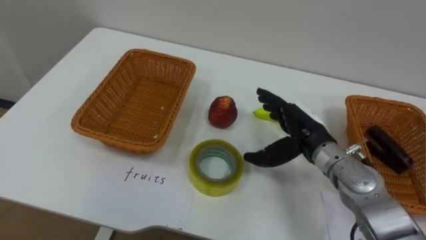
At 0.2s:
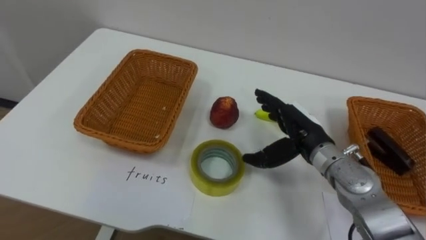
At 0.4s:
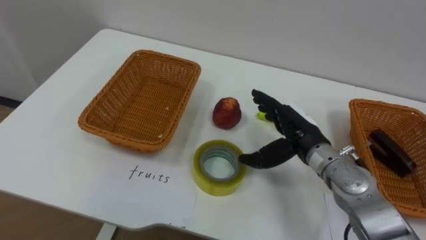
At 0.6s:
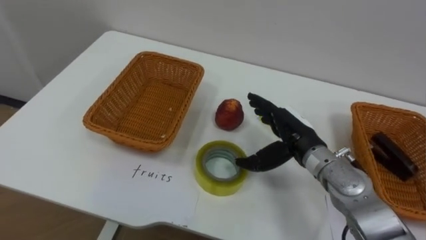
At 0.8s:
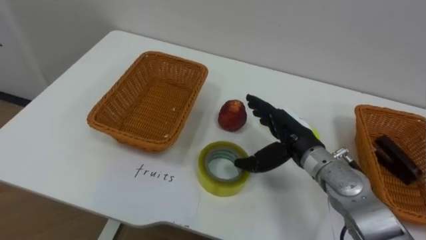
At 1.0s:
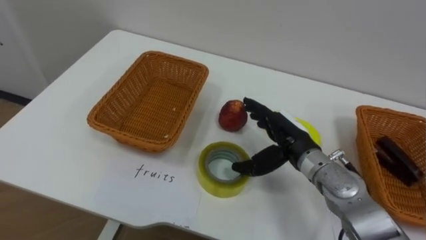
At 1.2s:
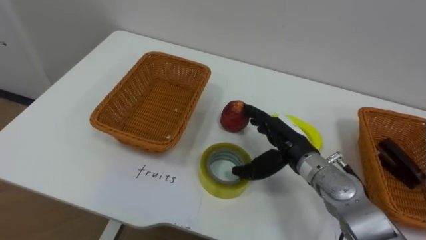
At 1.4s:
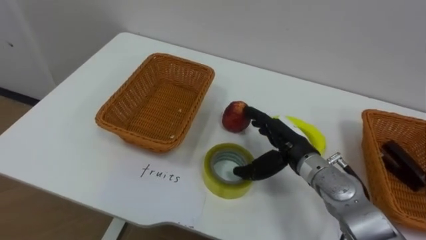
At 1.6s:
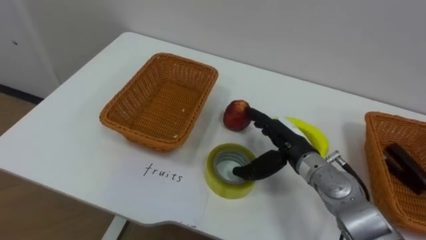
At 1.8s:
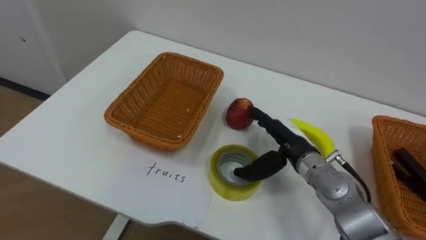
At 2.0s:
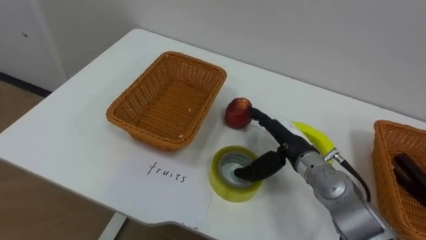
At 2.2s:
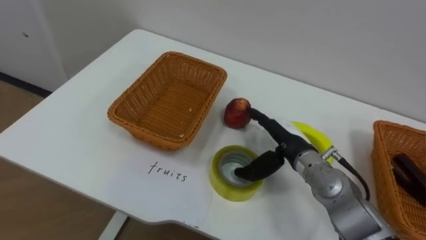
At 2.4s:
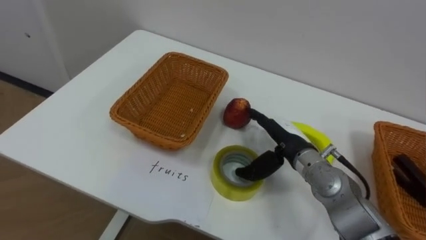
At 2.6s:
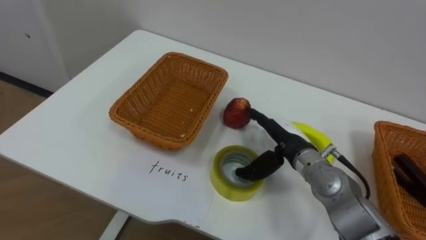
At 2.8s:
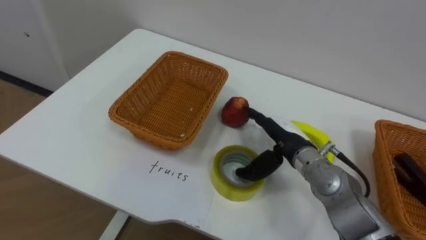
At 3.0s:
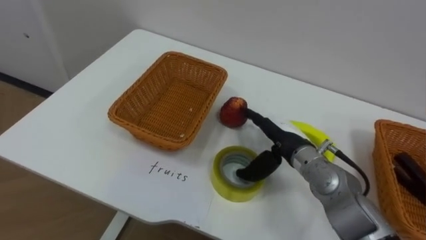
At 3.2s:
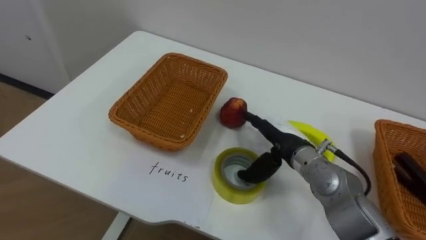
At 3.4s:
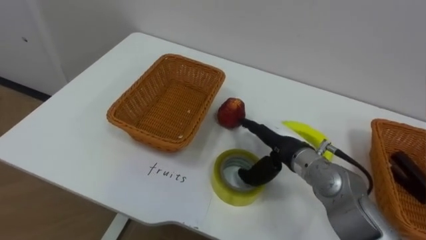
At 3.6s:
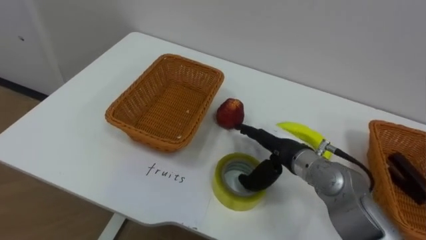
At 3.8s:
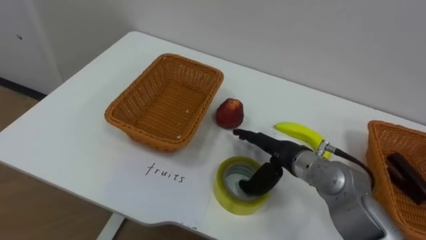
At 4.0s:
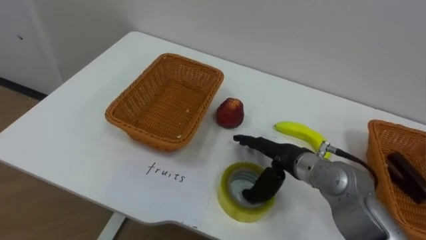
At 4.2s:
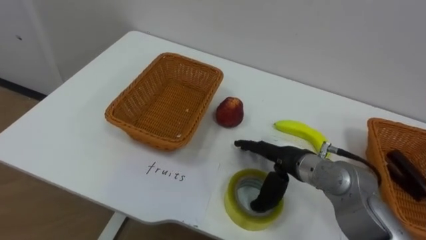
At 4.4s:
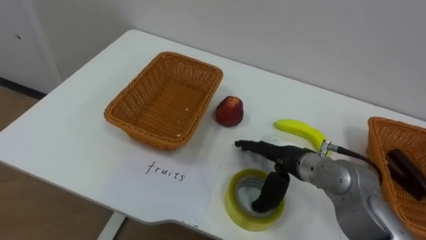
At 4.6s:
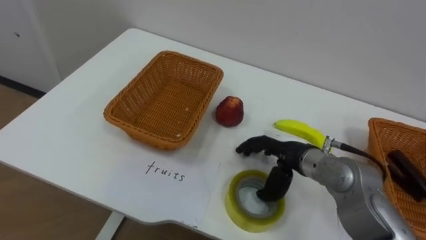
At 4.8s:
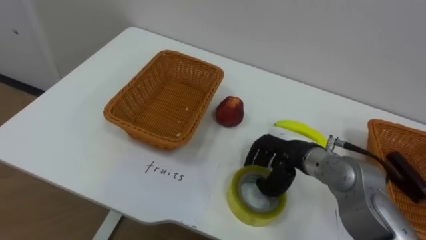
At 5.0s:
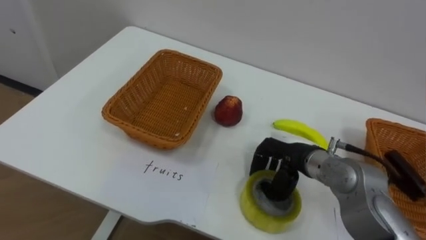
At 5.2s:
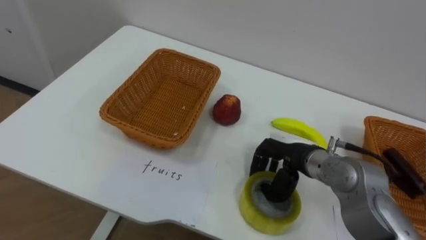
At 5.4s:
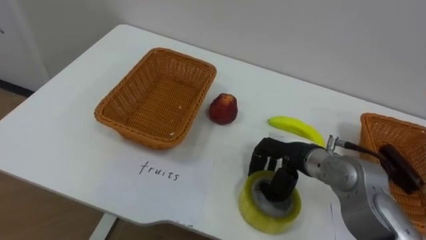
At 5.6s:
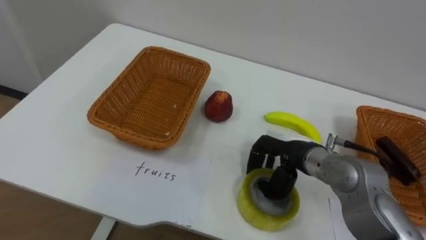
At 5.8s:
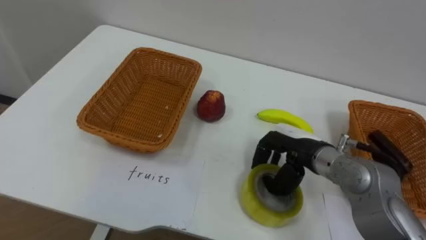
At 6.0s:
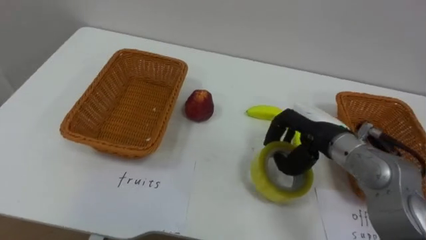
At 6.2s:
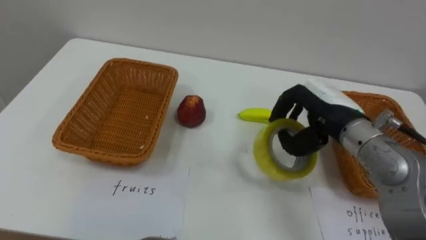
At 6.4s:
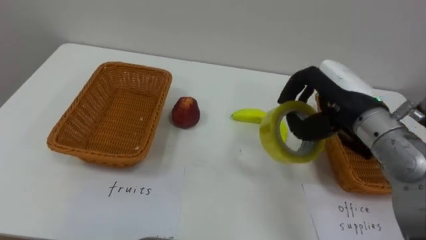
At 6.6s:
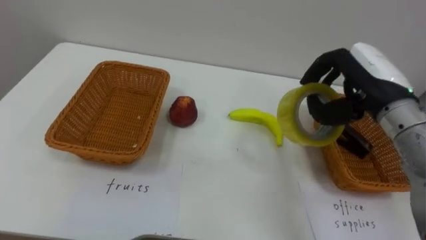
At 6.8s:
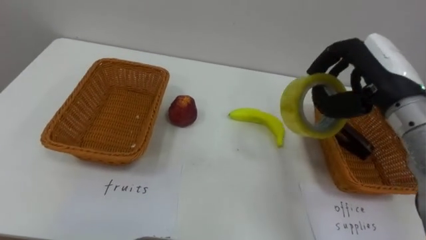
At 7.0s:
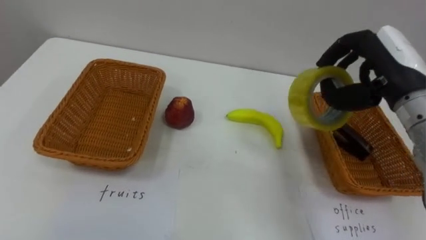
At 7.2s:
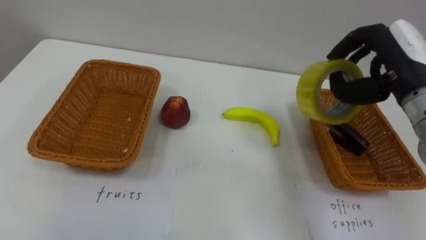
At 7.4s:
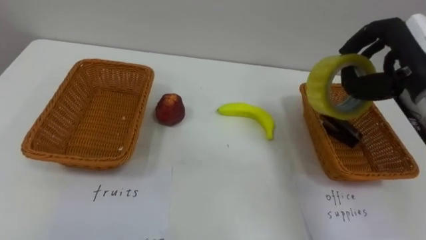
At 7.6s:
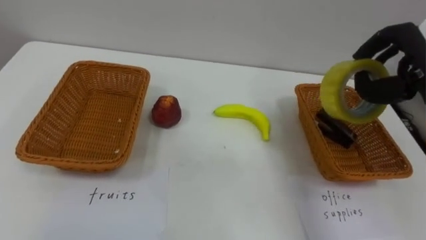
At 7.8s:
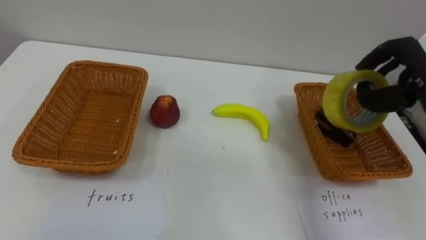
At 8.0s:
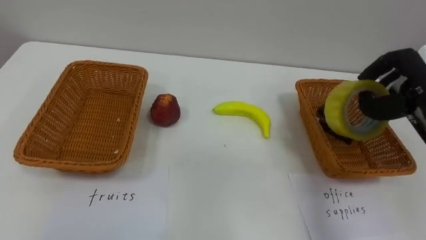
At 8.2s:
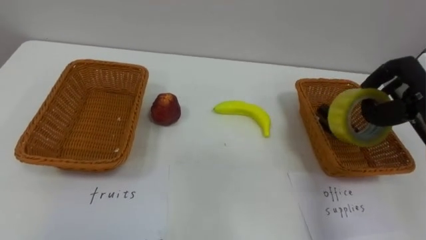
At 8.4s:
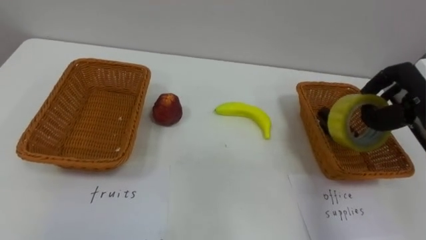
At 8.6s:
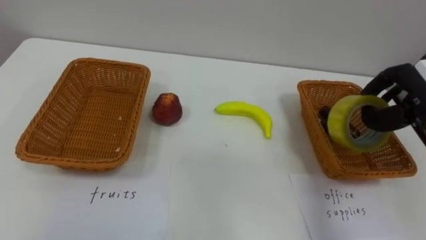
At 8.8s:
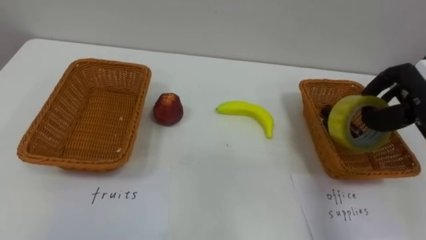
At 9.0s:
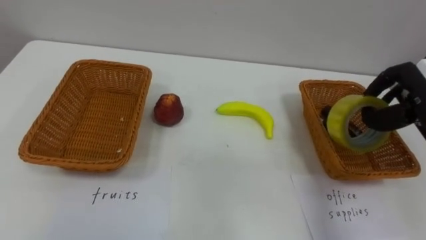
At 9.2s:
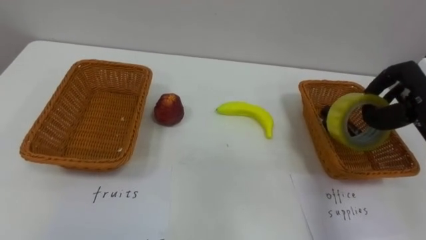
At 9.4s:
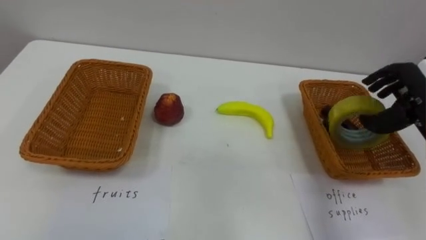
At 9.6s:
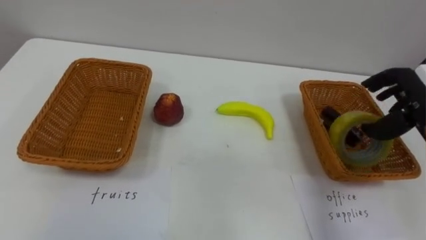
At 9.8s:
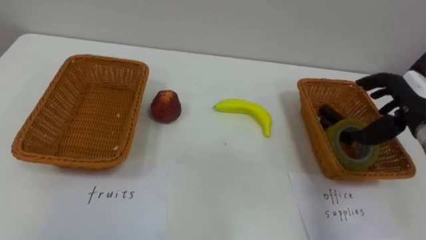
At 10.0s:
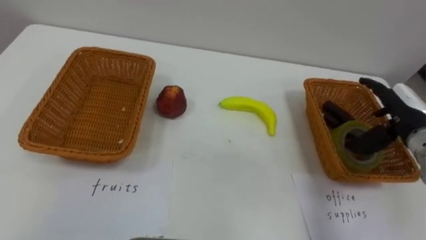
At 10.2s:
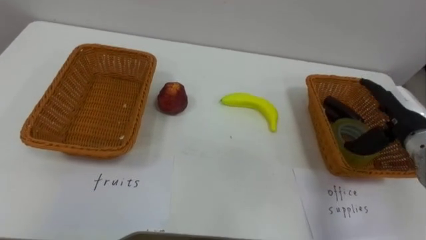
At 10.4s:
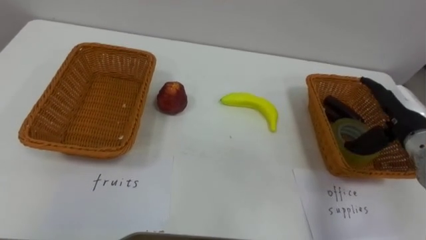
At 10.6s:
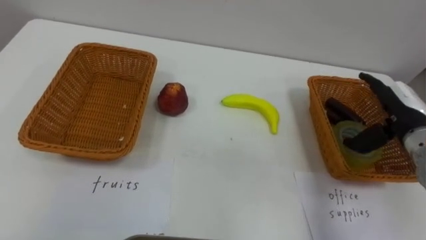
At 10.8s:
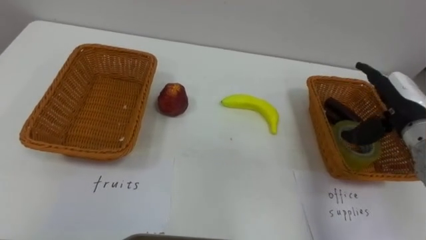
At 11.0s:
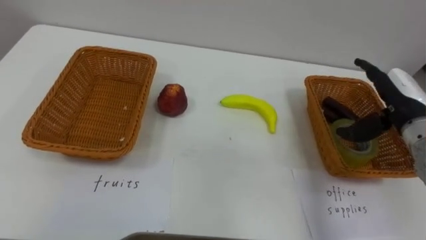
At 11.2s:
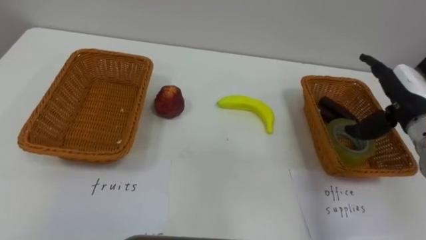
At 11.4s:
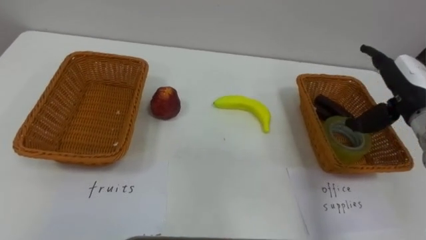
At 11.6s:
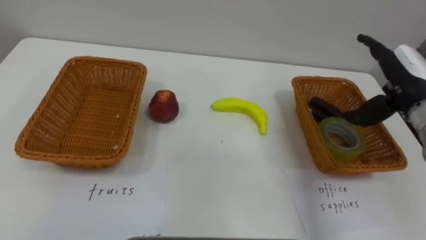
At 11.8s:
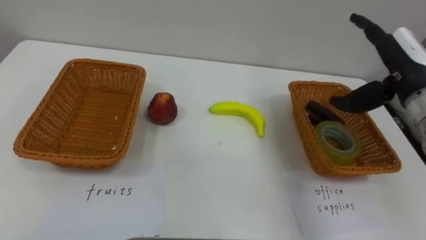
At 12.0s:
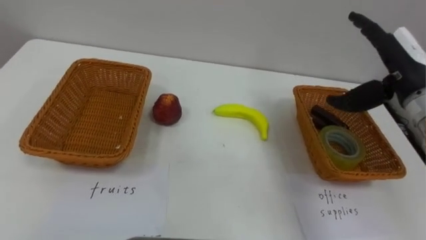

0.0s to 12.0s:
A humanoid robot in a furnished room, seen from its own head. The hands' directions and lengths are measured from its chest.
Task of the whole recording: Separate the items on the table and place them into the two baskets.
4.4s to 6.0s: The right hand ends up approximately 5 cm from where it was, and closes.
6.0s to 7.6s: The right hand heads to the right and upward, covering roughly 20 cm.
7.6s to 9.0s: The right hand moves downward, some 5 cm.
10.4s to 12.0s: The right hand shifts roughly 10 cm upward.

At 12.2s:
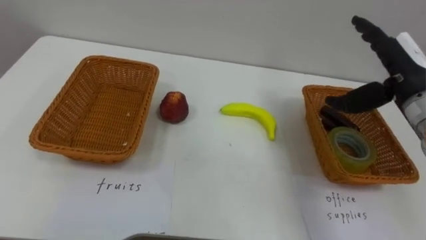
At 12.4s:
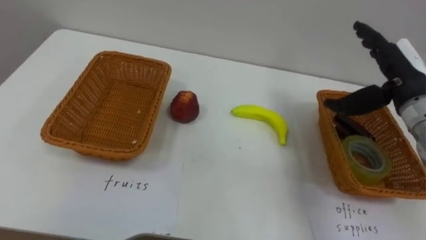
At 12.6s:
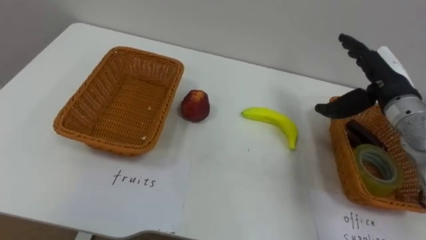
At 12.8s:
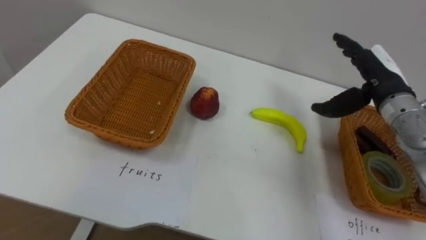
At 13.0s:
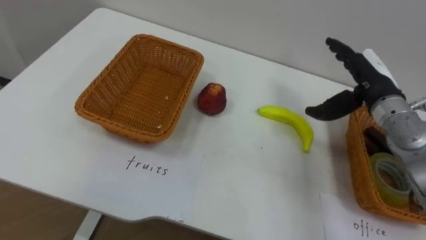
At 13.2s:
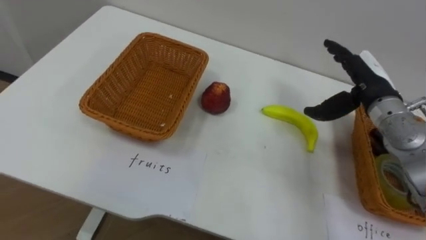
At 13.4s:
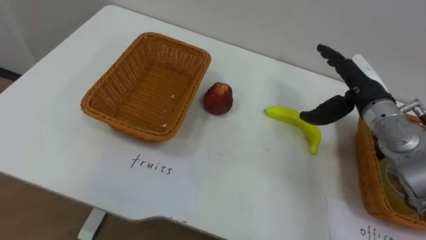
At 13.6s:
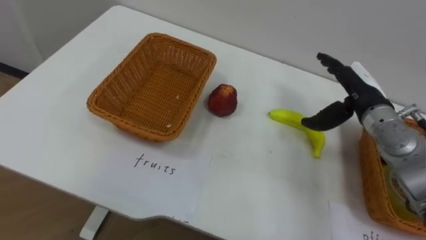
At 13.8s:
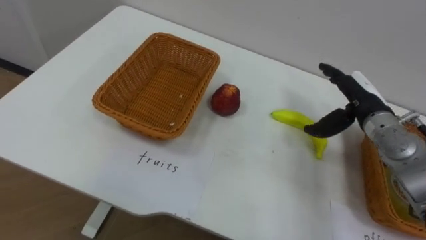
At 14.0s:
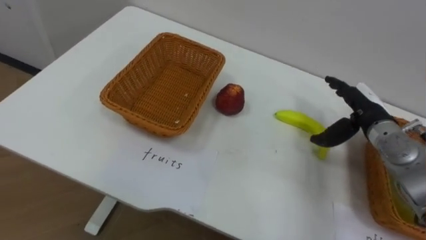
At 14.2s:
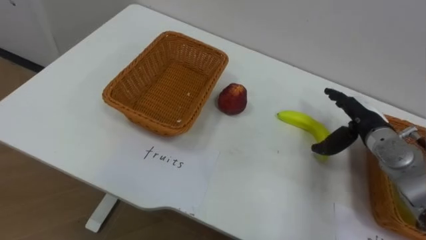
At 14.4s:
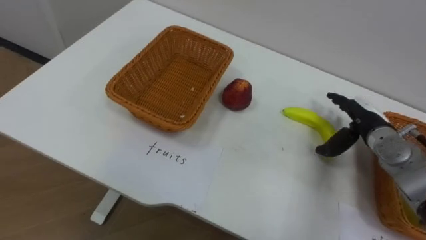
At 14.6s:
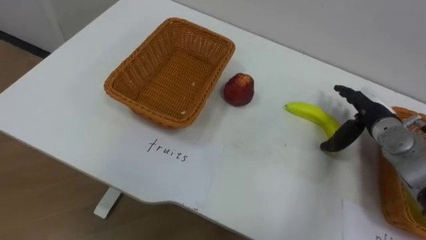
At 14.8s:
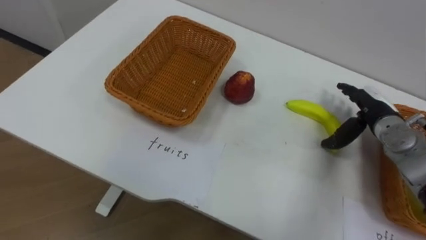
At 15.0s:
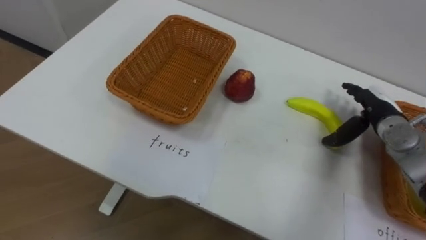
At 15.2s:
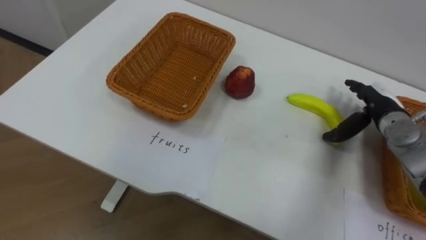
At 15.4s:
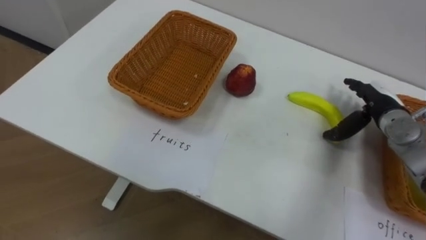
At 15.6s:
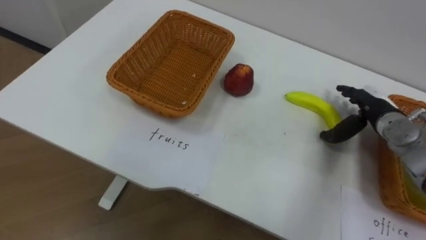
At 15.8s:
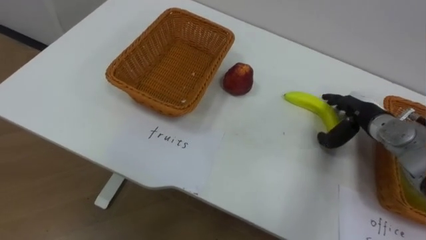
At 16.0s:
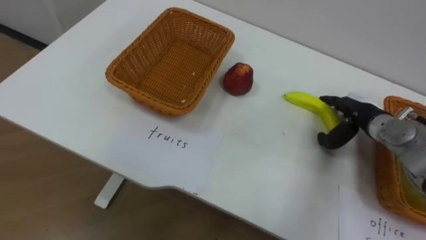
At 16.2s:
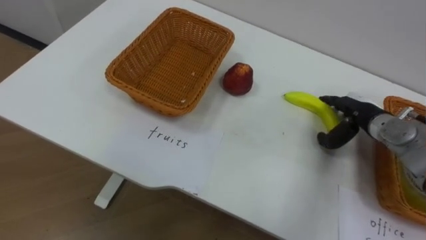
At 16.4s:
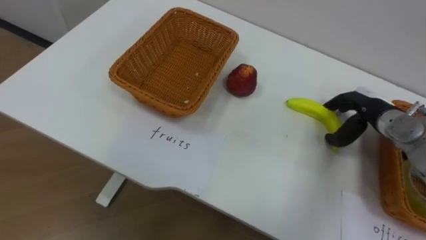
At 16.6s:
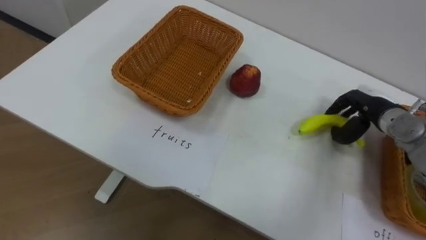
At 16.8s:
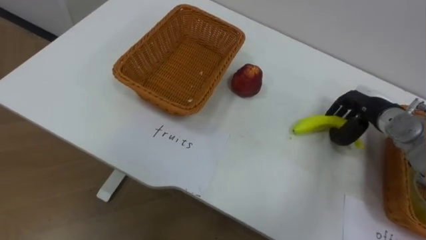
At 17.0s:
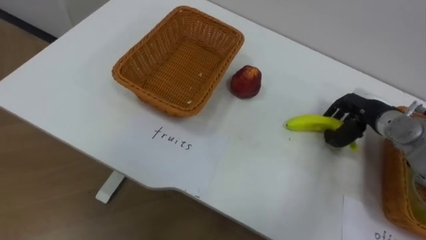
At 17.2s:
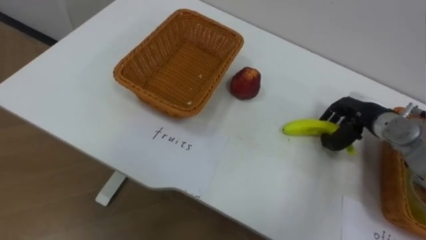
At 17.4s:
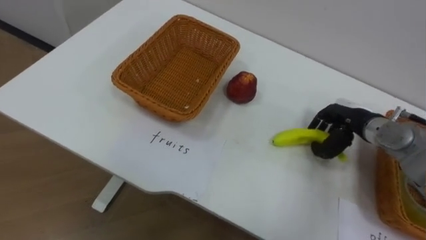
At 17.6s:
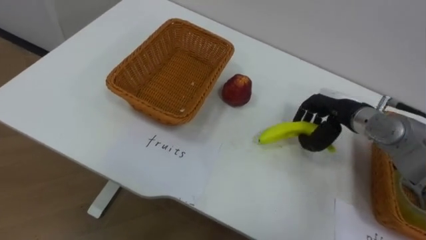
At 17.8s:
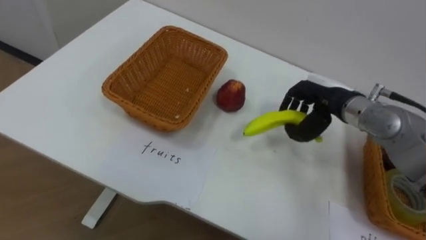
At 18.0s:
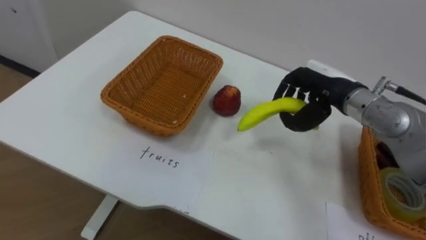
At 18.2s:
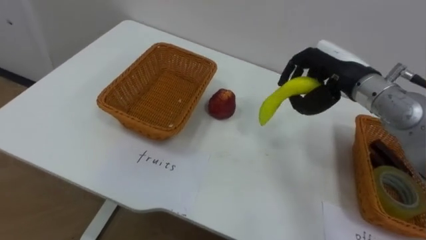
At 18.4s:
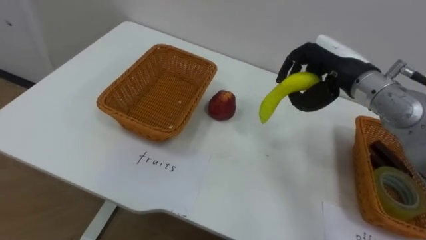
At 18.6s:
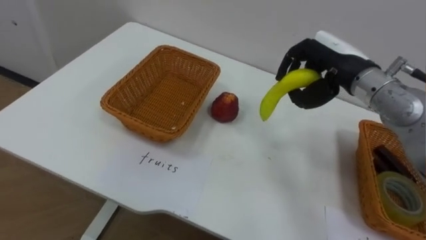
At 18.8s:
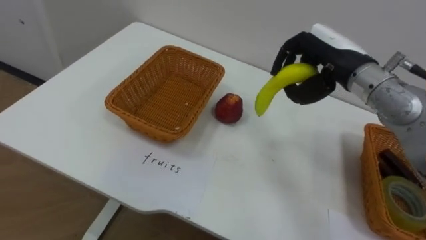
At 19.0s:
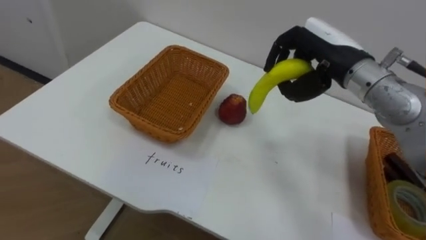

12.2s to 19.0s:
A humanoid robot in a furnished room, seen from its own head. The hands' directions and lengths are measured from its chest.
Task of the whole recording: Separate the items on the table and place them into the two baskets.
12.2s to 13.6s: The right hand travels downward by about 5 cm.
13.6s to 15.0s: The right hand travels downward and to the right by about 10 cm.
16.2s to 17.6s: The right hand moves about 5 cm, and closes its fingers.
17.6s to 19.0s: The right hand heads upward and to the left, covering some 15 cm.
